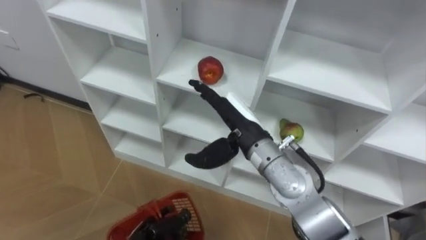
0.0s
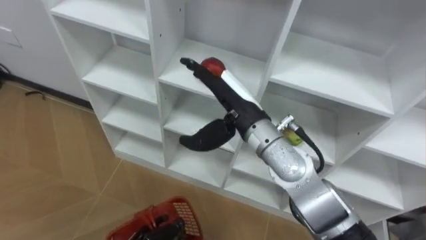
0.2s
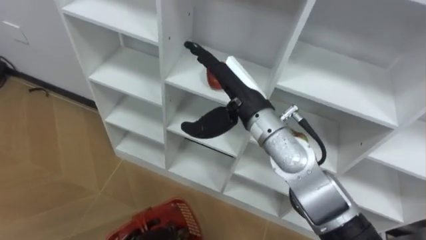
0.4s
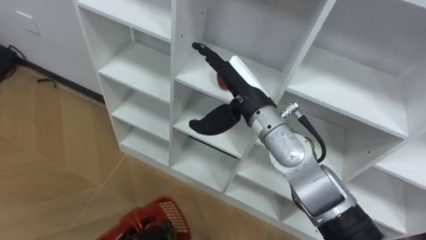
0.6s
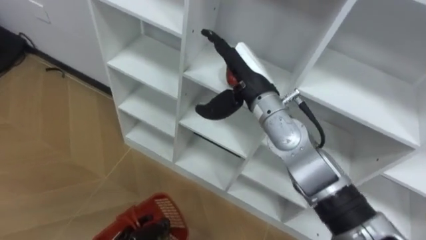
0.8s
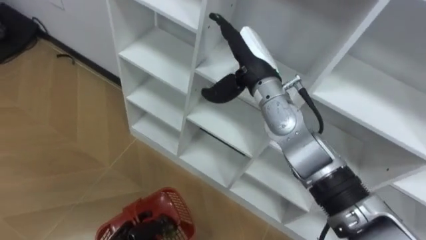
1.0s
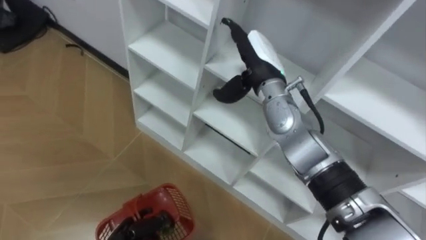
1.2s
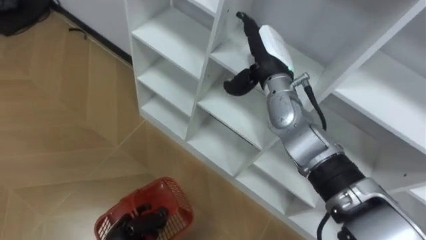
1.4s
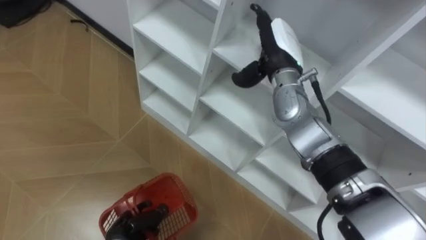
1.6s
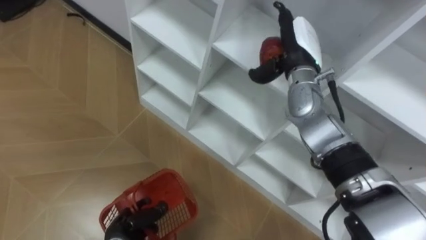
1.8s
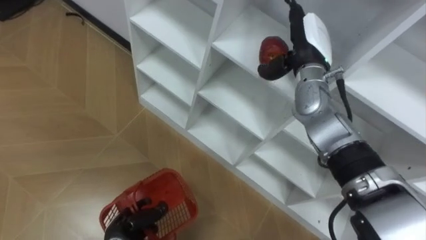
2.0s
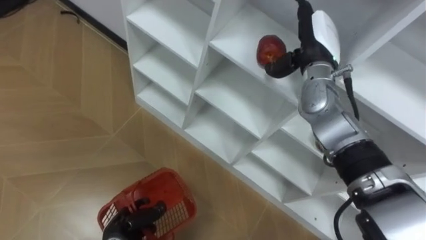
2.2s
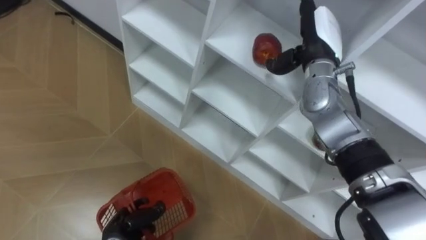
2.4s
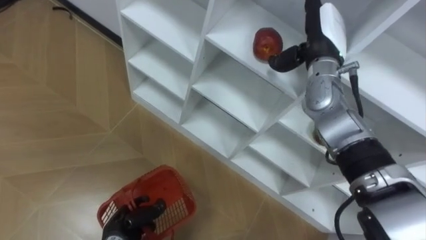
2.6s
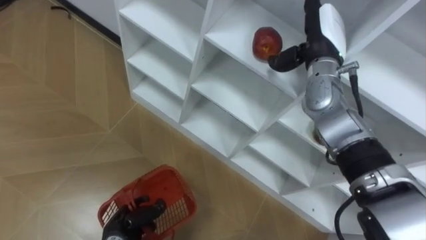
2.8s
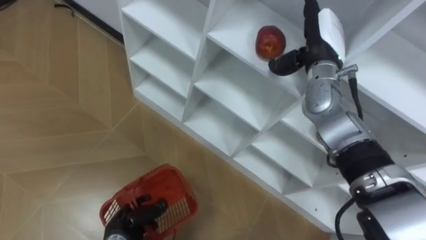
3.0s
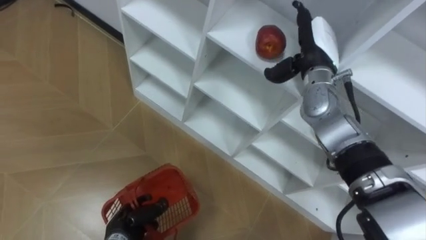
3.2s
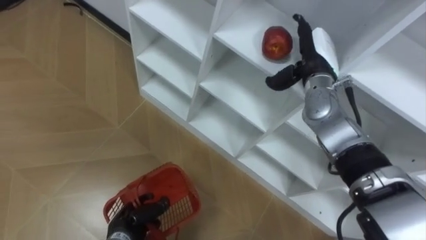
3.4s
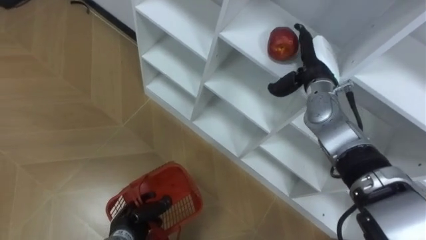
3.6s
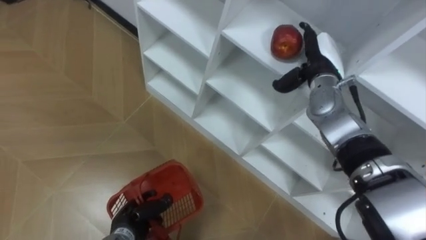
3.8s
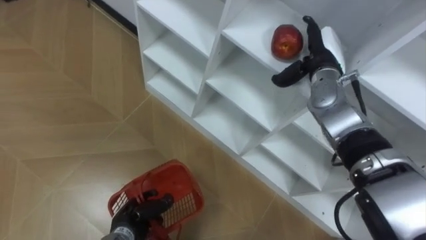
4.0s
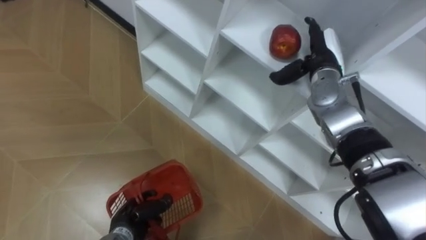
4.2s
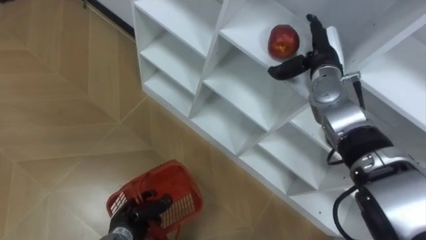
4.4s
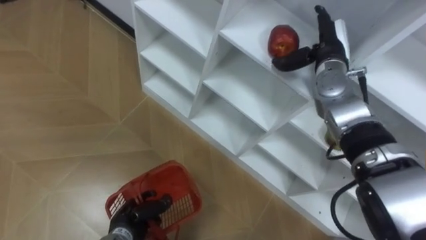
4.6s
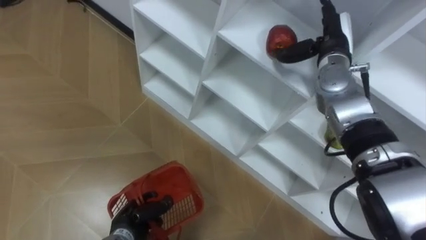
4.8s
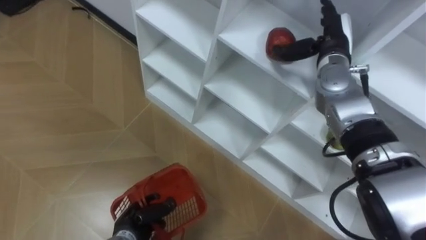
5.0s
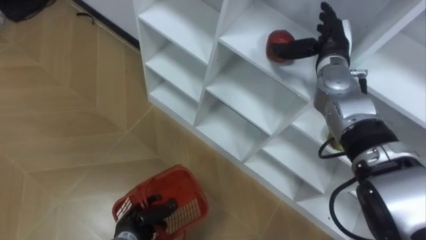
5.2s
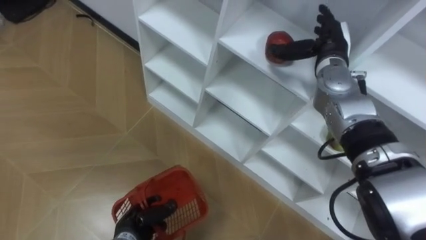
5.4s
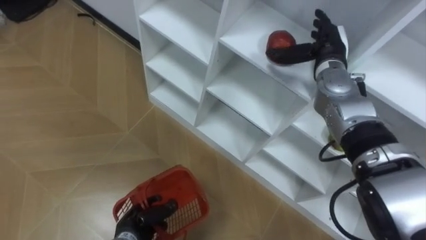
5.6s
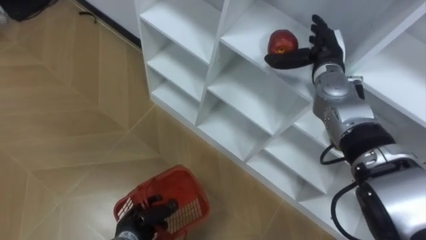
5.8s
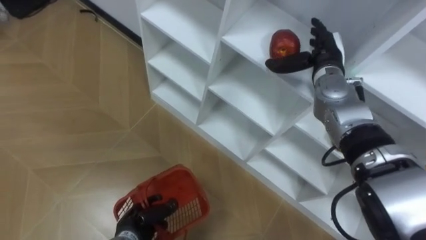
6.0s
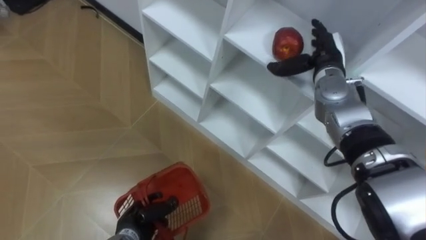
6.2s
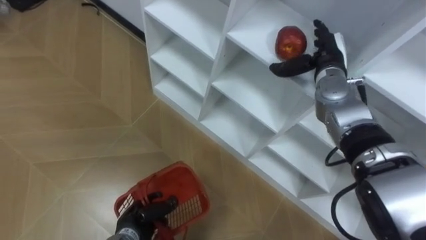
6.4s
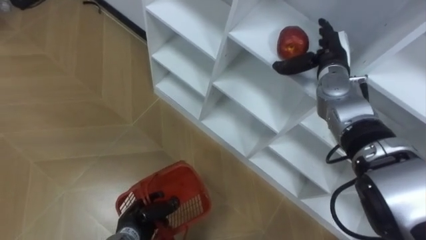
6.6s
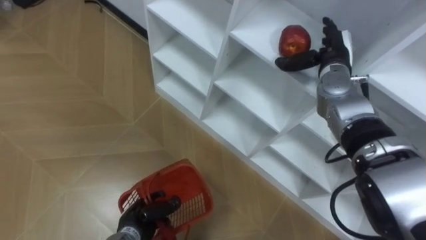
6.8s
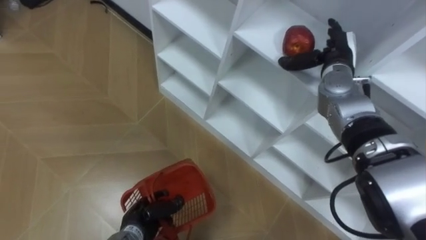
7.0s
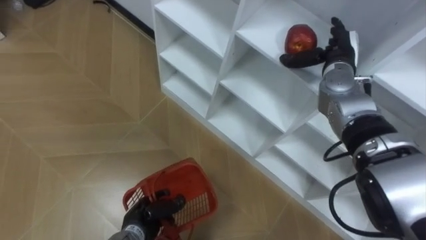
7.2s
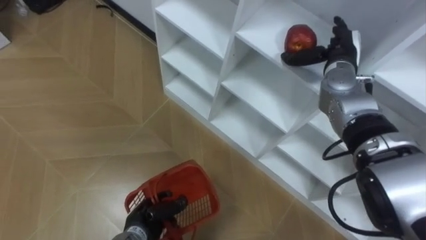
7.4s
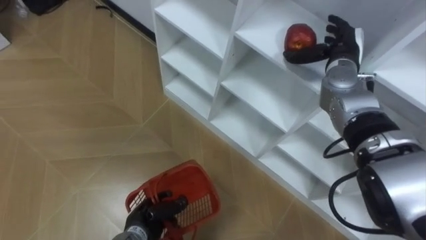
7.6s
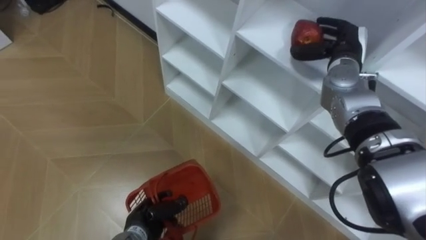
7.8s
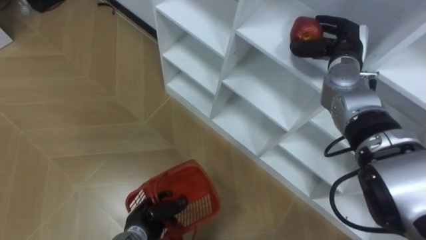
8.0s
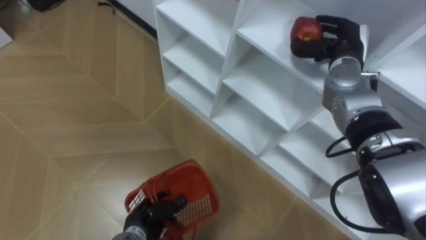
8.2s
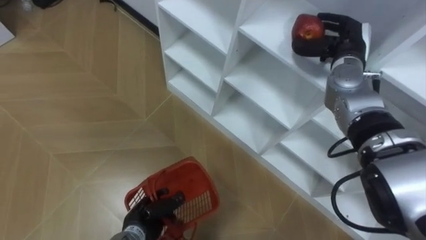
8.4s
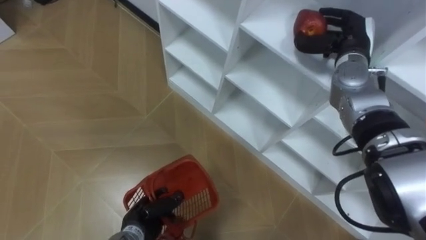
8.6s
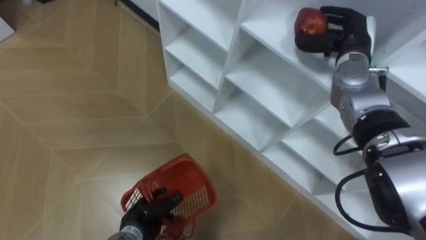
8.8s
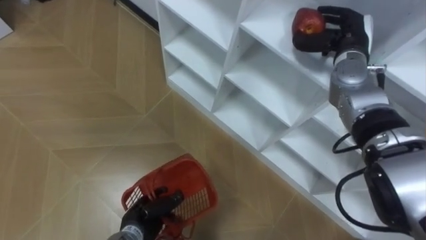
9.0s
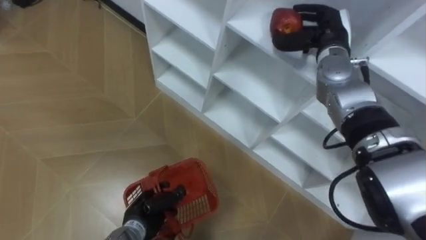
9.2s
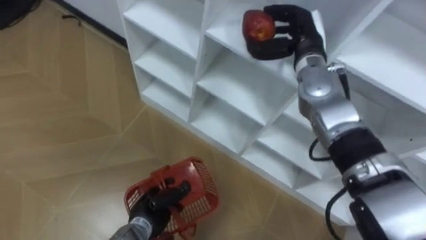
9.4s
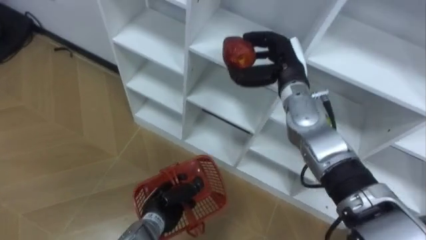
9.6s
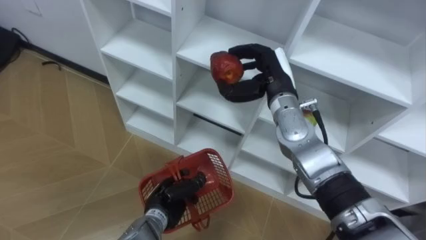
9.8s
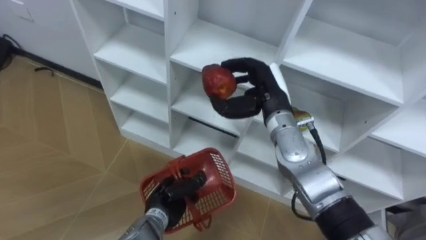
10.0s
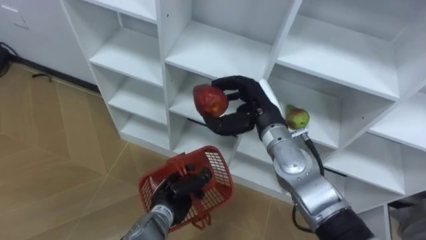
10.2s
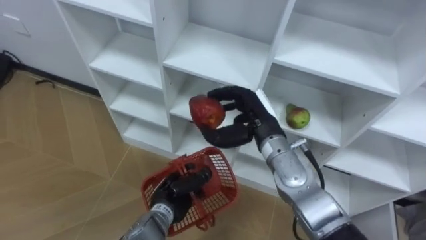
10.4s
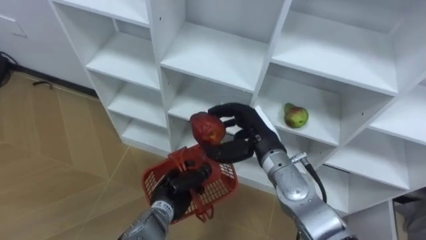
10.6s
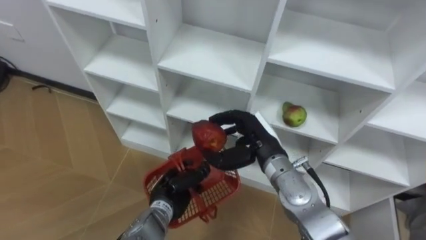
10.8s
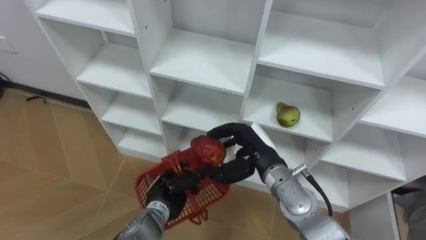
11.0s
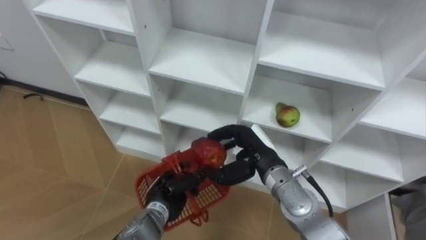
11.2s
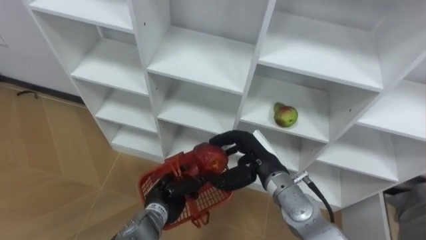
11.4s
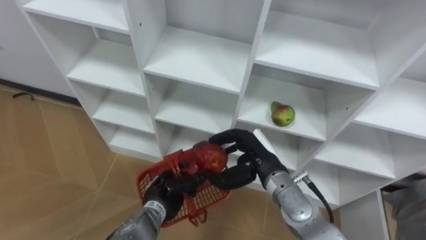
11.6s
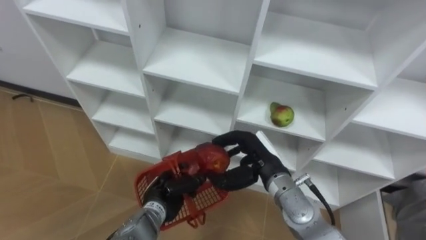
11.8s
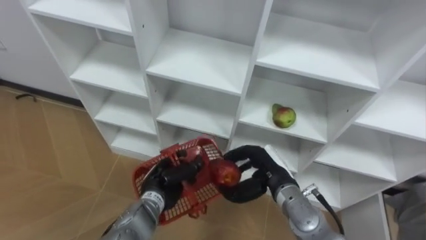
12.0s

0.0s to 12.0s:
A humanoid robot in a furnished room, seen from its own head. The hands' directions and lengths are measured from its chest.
Task of the whole recording: Hold the basket and collect the fruits from 3 different cells of the closet into it.
0.0s to 1.6s: The right hand goes approximately 15 cm forward, to the right and upward.
1.6s to 3.0s: The right hand moves to the right, some 10 cm.
7.6s to 9.0s: The right hand closes its fingers.
9.0s to 10.4s: The right hand is displaced to the left, backward and downward by roughly 20 cm. Meanwhile the left hand moves to the right, some 5 cm.
10.4s to 12.0s: The right hand shifts approximately 10 cm downward and backward.

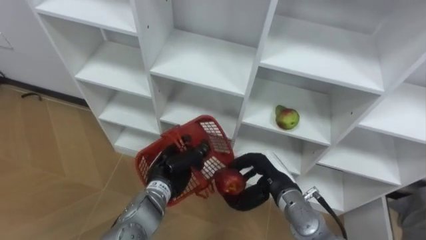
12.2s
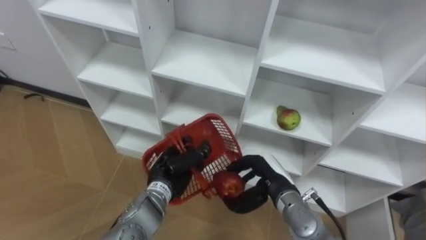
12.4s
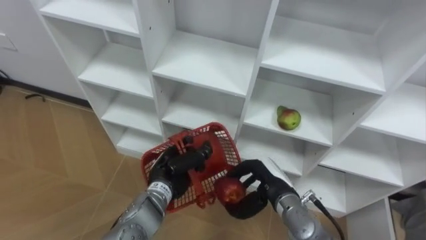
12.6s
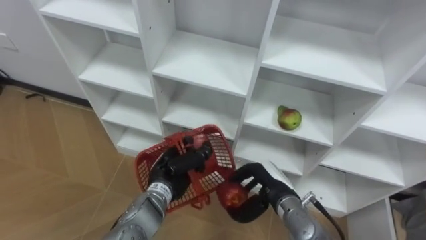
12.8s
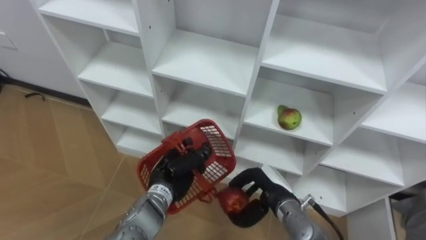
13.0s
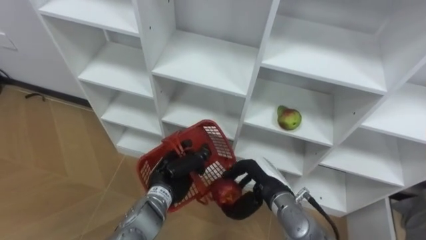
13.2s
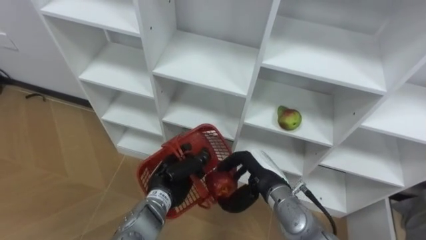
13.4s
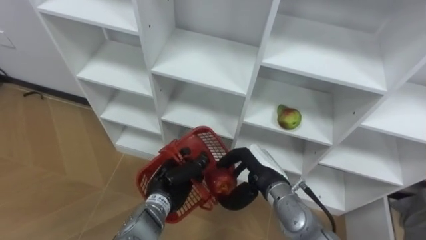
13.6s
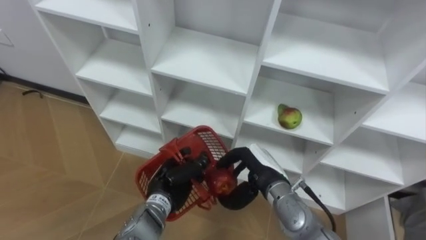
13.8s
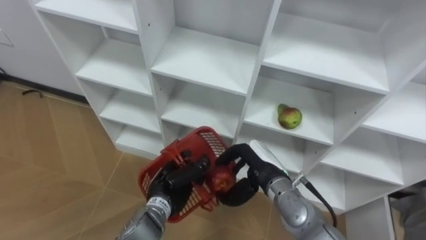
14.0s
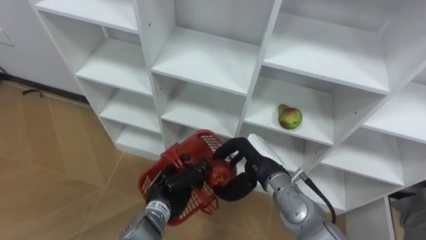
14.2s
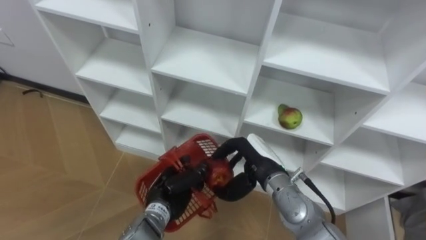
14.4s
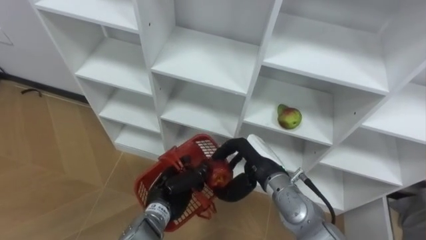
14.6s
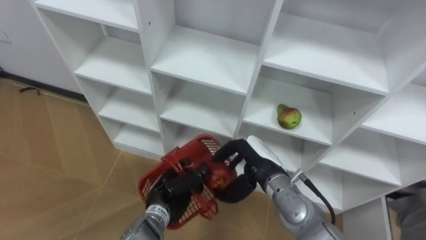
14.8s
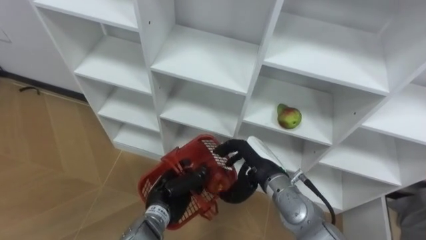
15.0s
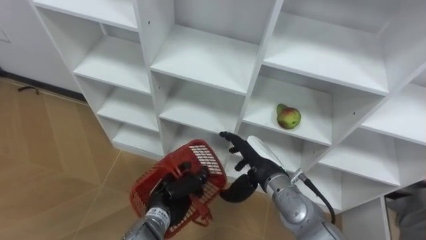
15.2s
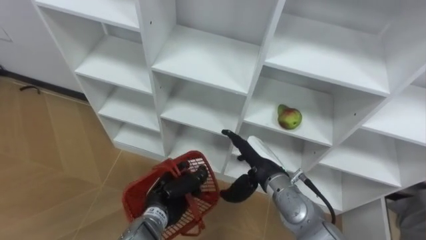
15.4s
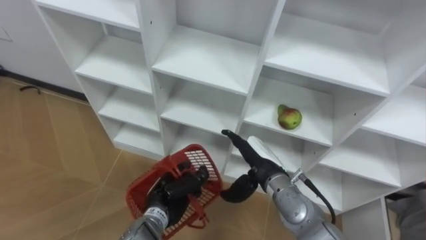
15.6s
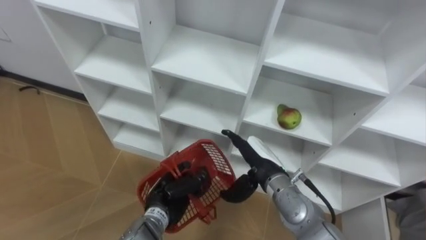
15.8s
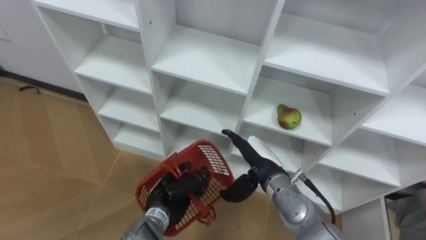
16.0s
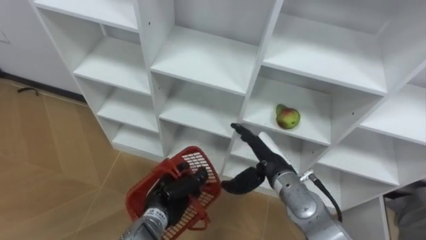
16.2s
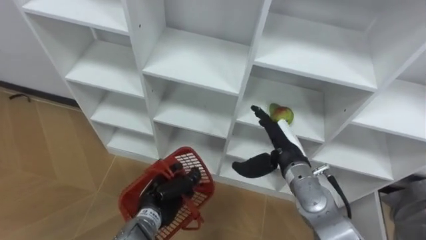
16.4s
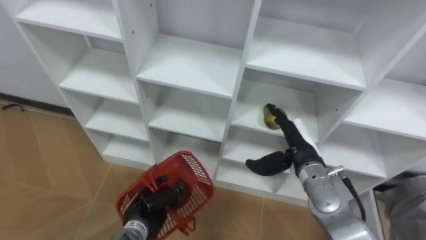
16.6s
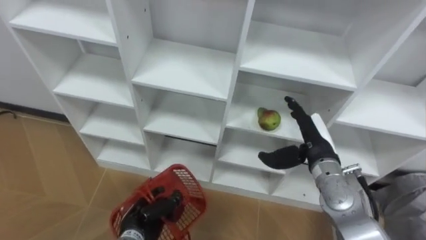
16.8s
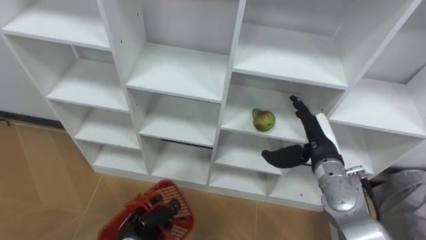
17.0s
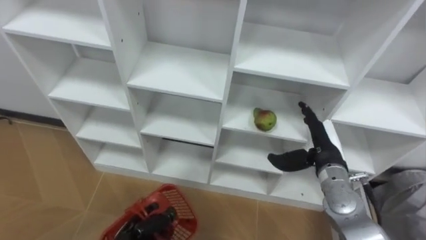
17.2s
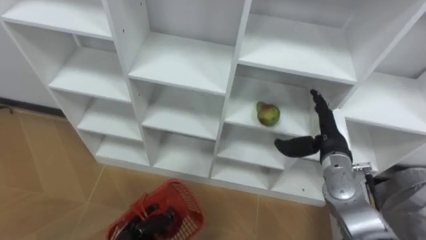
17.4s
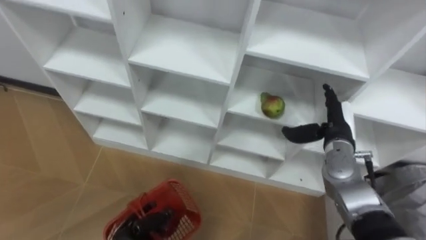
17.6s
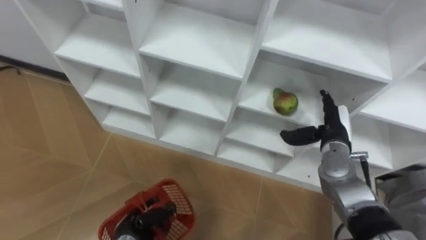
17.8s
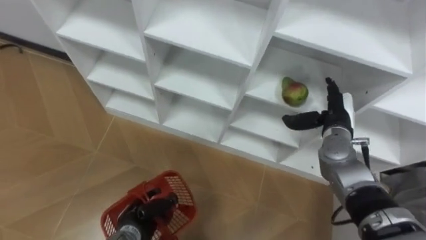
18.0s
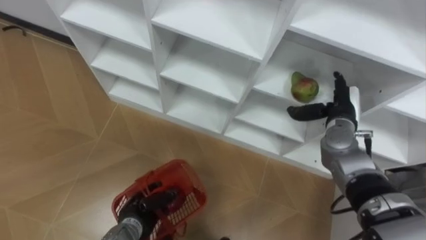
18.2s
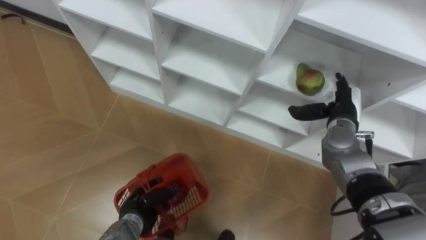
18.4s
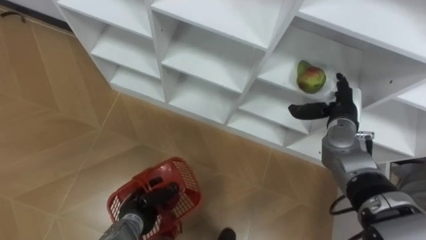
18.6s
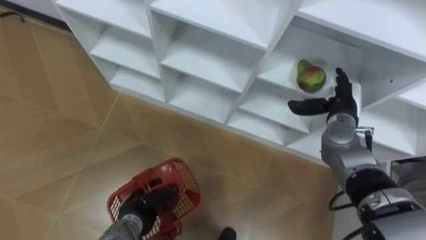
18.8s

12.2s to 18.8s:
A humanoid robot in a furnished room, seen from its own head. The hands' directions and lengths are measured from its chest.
Task of the whole recording: Hold the basket and collect the fruits from 3 different cells of the closet into it.
12.2s to 13.8s: There are only small adjustments of the hands.
13.8s to 15.4s: The right hand opens.
15.4s to 17.2s: The left hand heads to the left, backward and downward, covering approximately 10 cm. The right hand is displaced to the right by about 10 cm.
17.2s to 18.8s: The left hand moves forward, about 5 cm. Meanwhile the right hand travels forward by approximately 10 cm.
